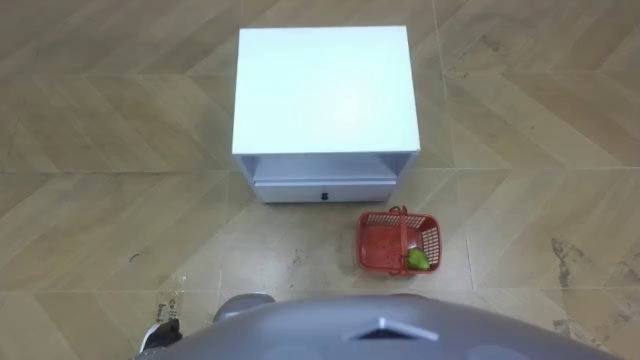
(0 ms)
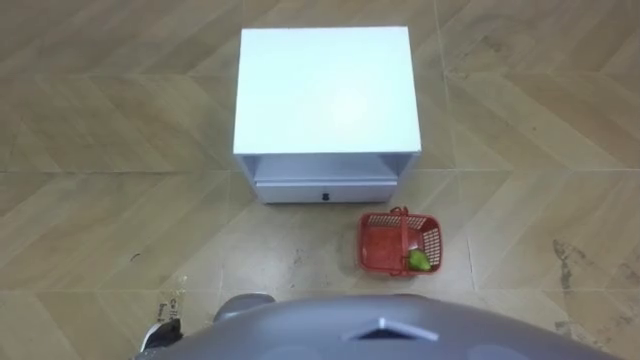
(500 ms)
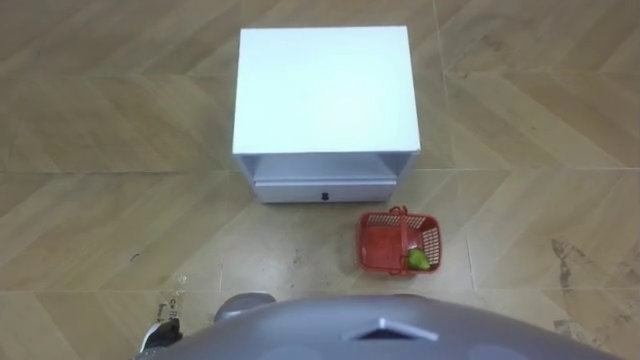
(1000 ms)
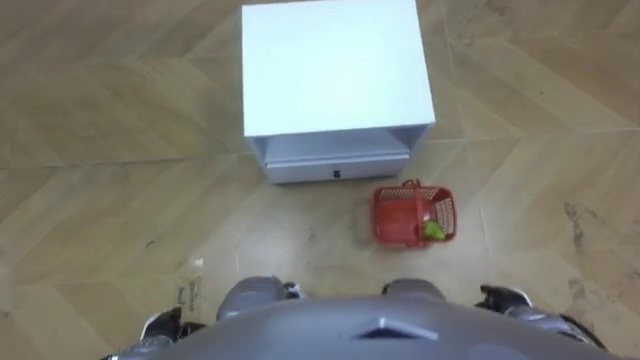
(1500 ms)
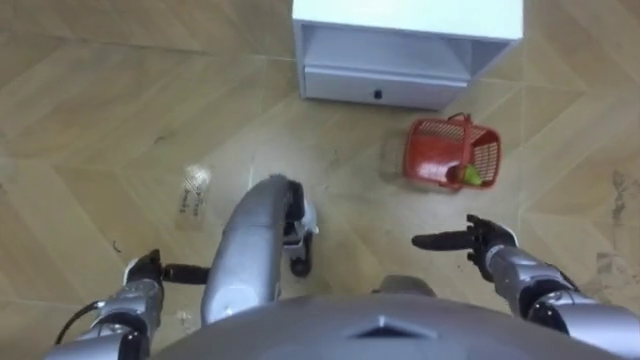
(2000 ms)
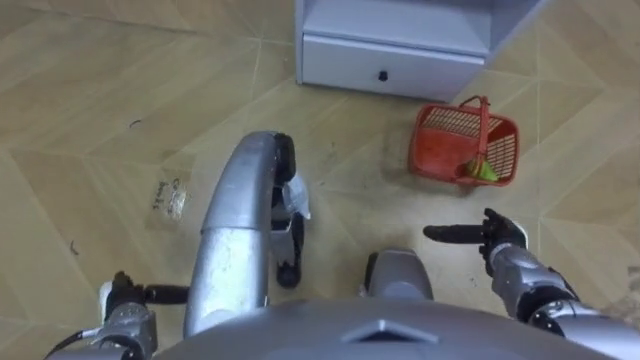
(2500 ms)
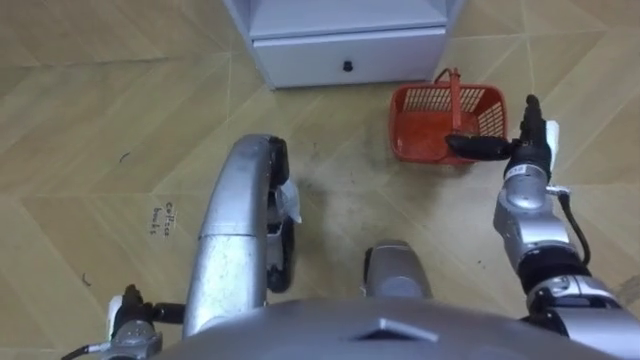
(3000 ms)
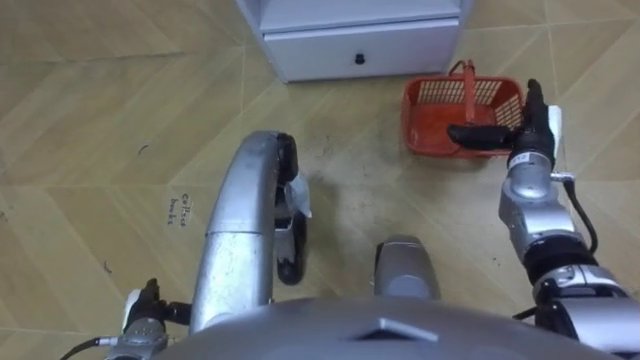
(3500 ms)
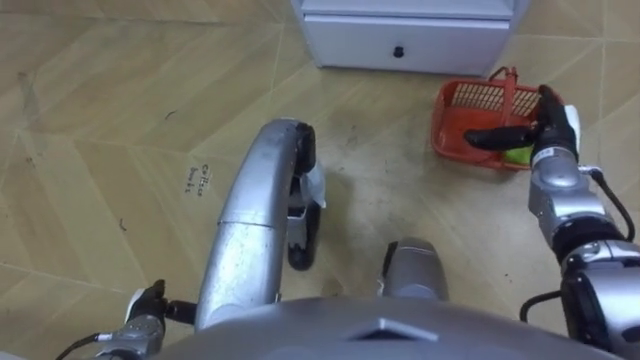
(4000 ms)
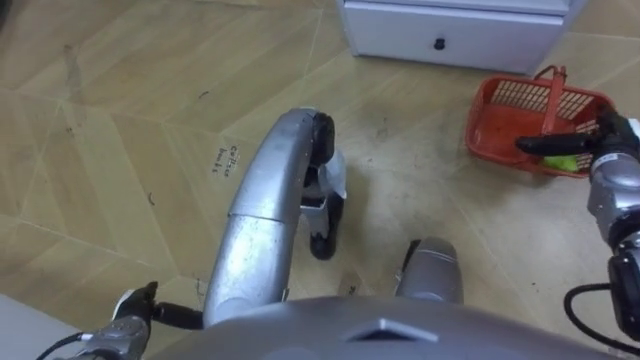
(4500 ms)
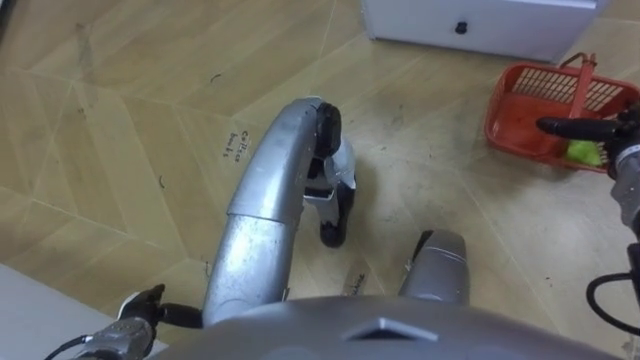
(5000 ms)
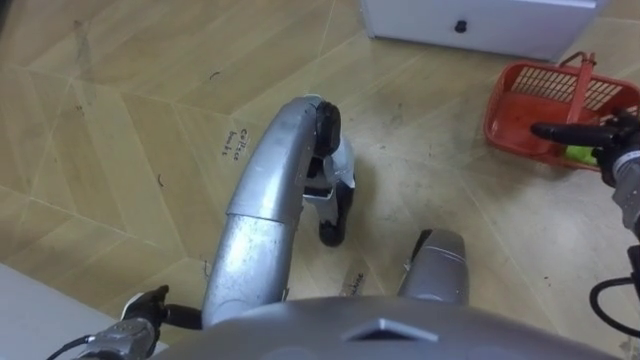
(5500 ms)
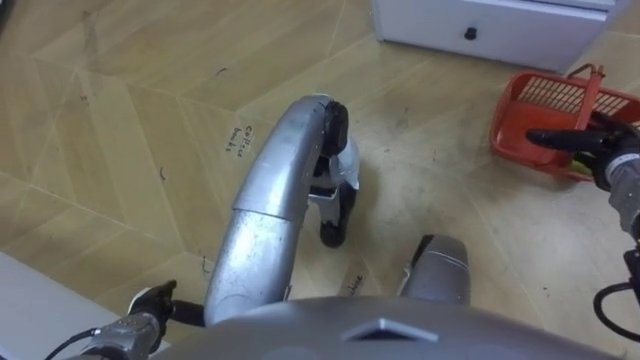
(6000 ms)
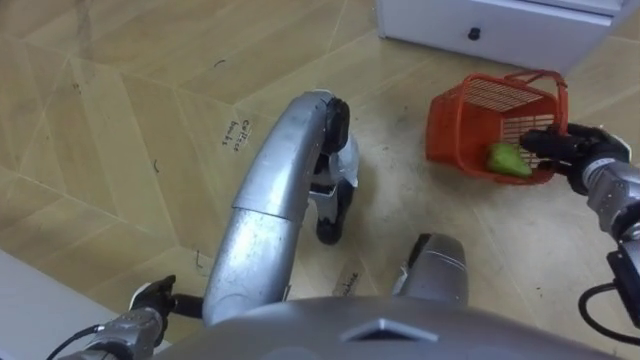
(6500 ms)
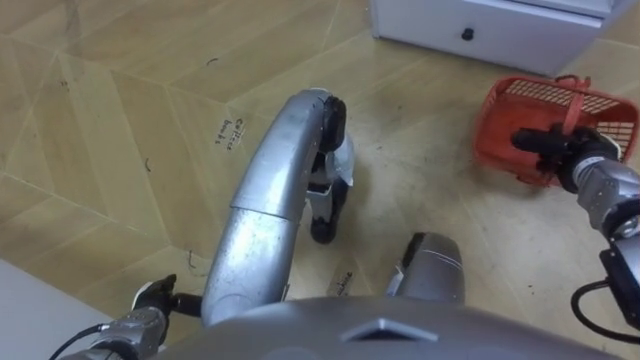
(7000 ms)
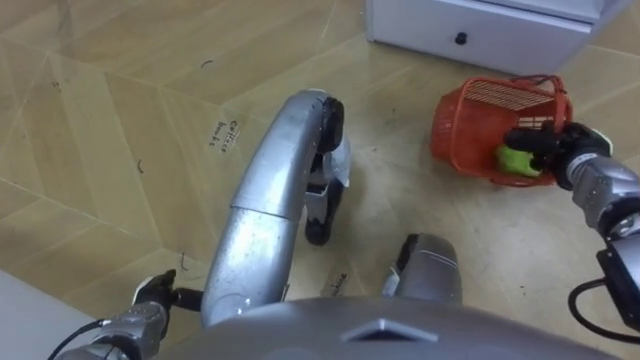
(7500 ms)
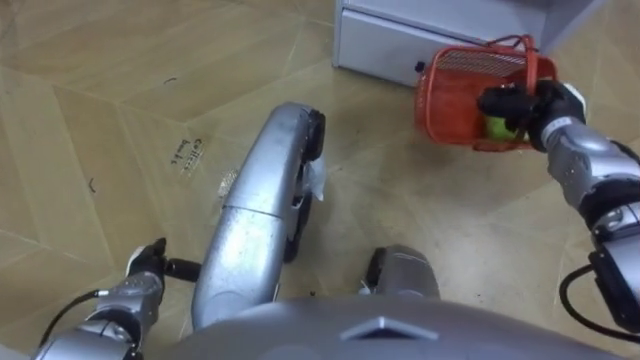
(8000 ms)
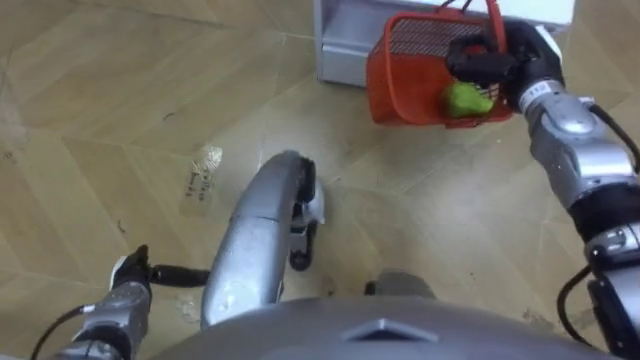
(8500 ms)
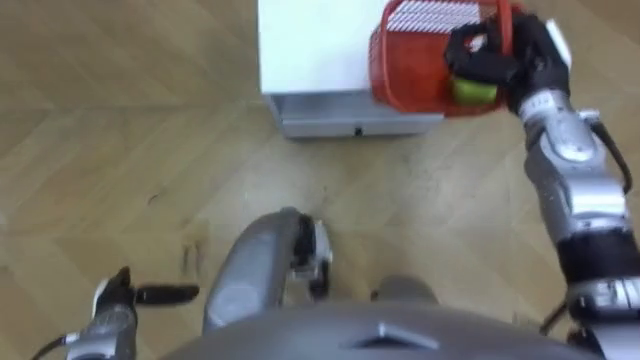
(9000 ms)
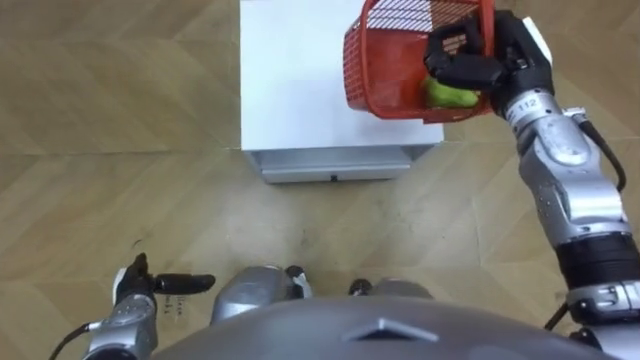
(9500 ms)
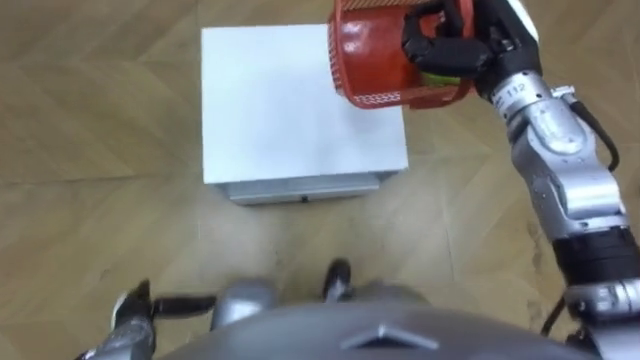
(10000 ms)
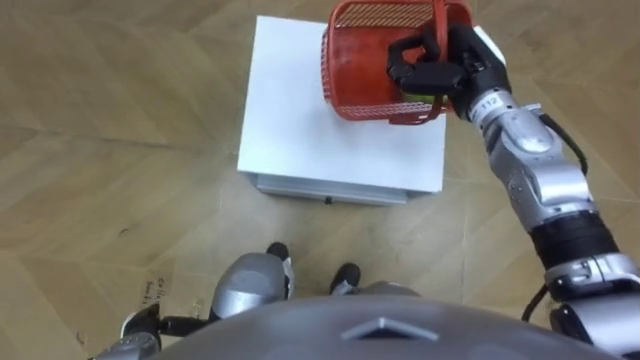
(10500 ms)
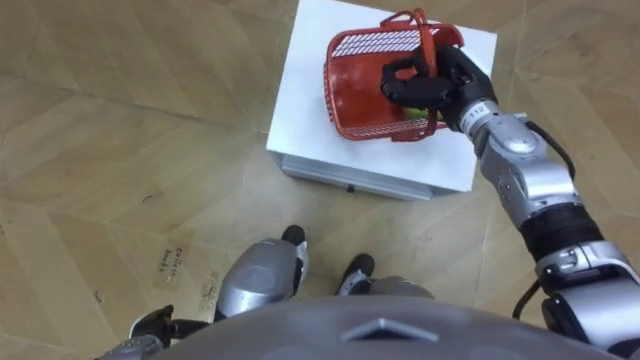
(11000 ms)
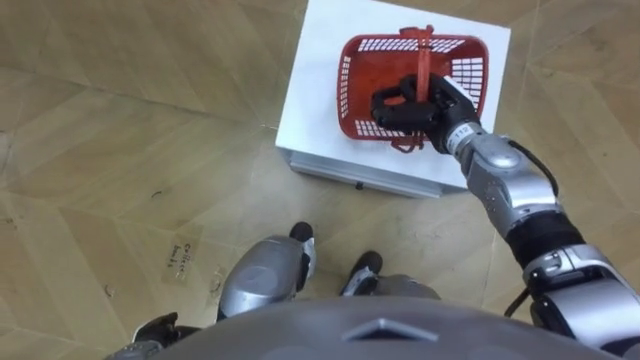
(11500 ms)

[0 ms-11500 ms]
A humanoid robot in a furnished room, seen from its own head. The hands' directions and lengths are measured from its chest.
Task of the whole recording: Pick up the fruit basket from the floor and place it on the cabinet.
2000 ms to 4000 ms: The right hand moves forward, upward and to the right, about 20 cm.
4000 ms to 6000 ms: The right hand moves to the right, roughly 10 cm.
6000 ms to 7500 ms: The right hand closes up.
7500 ms to 9500 ms: The robot turns to its right by about 15 degrees. The right hand travels upward, to the left and forward by approximately 20 cm.
9500 ms to 11500 ms: The left hand is displaced backward by approximately 10 cm. Meanwhile the right hand travels downward and to the left by approximately 10 cm.

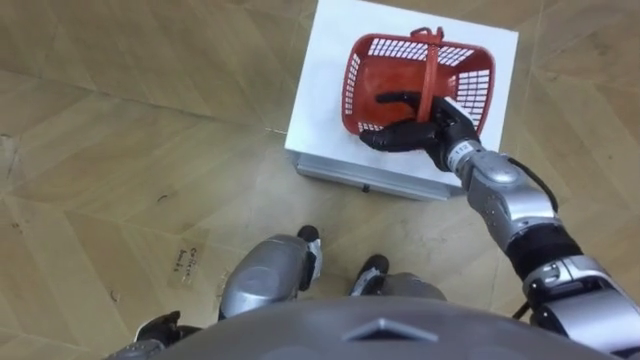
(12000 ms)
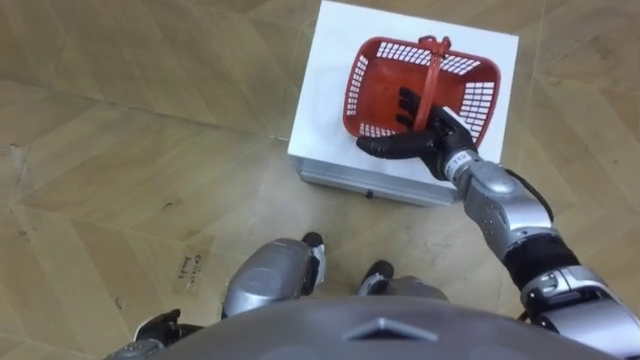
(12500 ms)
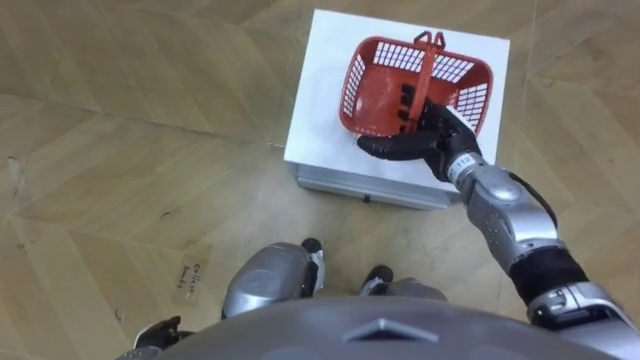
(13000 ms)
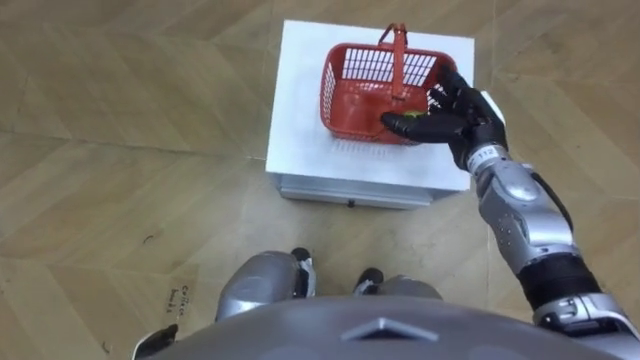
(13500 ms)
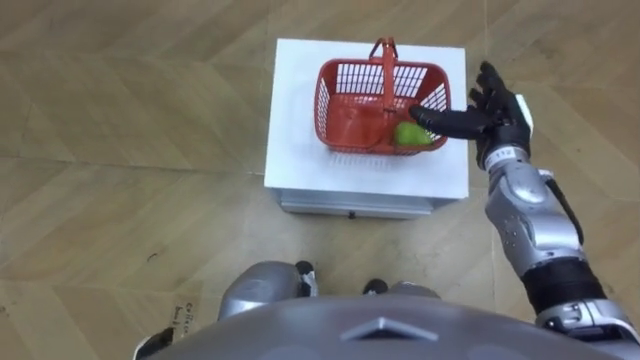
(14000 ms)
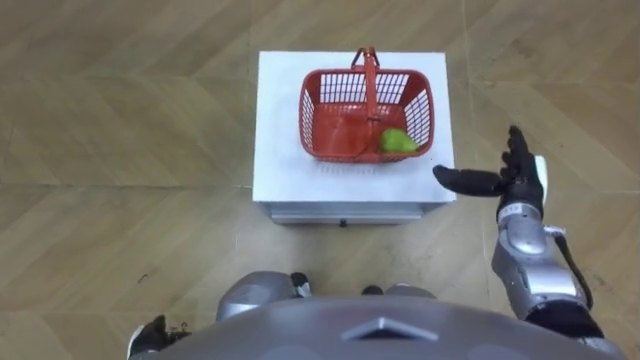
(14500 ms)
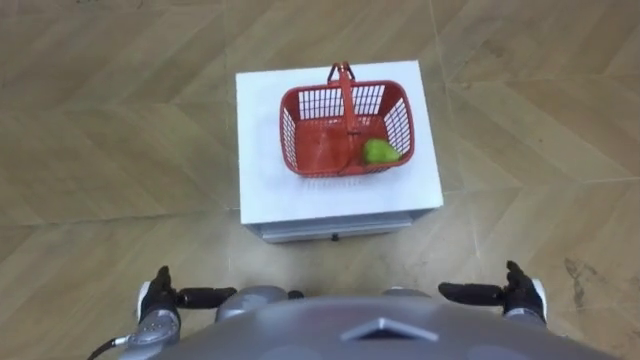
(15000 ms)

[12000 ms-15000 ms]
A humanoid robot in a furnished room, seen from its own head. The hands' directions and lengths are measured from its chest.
Task of the whole recording: Pick up the fruit basket from the floor and place it on the cabinet.
13500 ms to 15000 ms: The left hand shifts about 10 cm forward; the right hand moves backward and downward, approximately 25 cm.

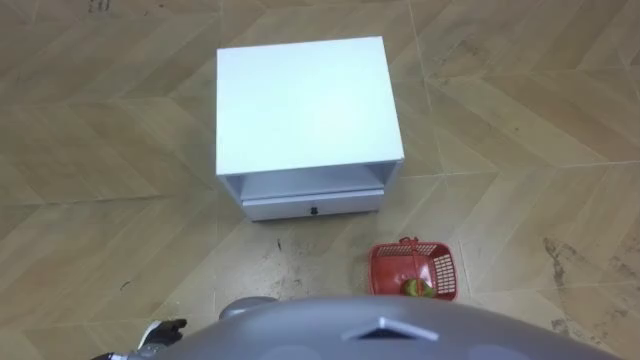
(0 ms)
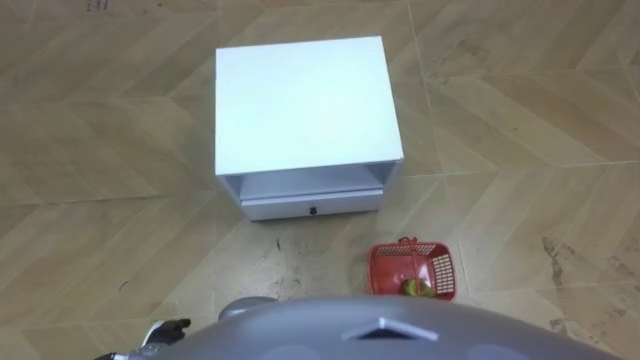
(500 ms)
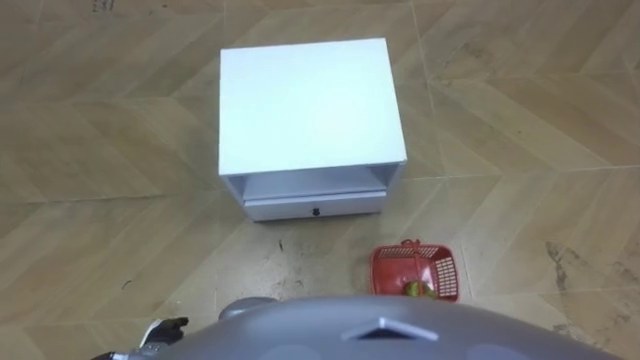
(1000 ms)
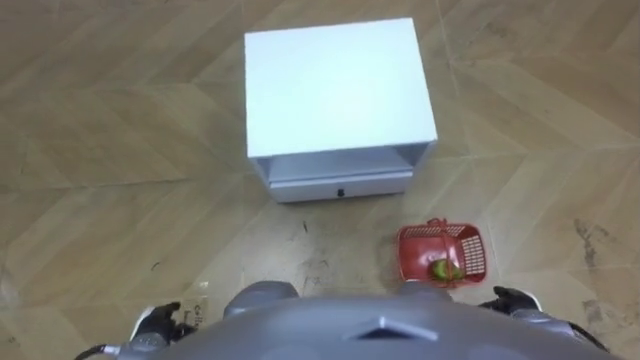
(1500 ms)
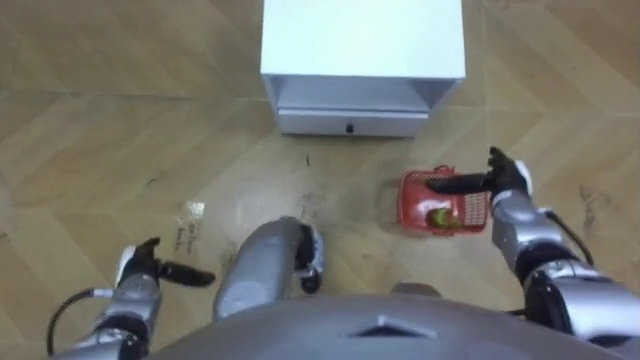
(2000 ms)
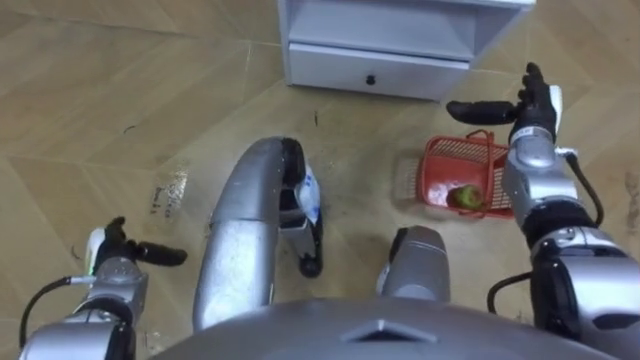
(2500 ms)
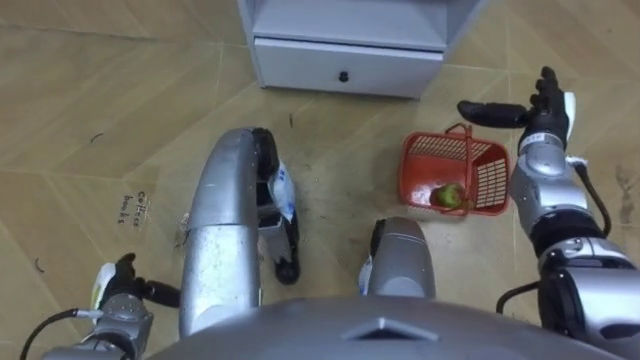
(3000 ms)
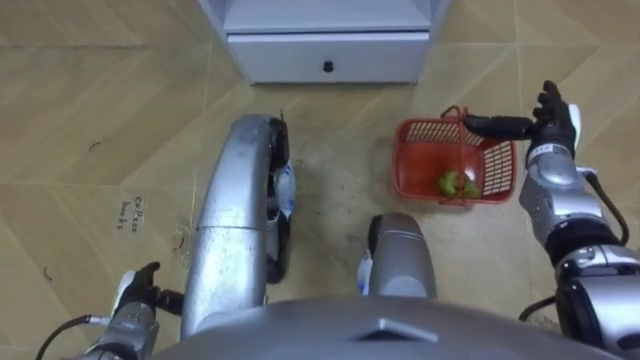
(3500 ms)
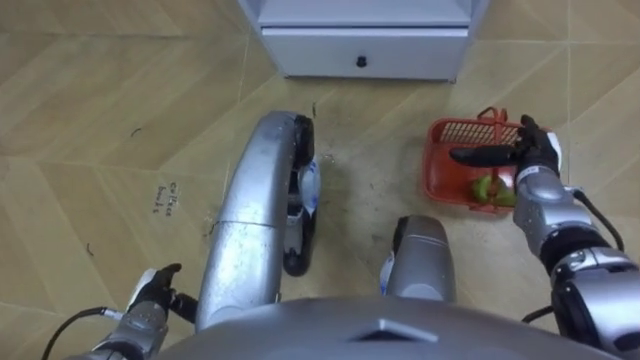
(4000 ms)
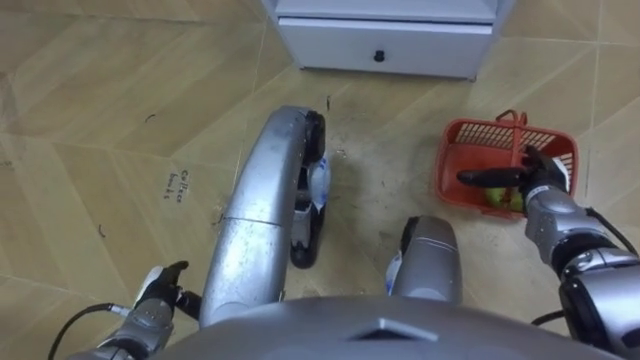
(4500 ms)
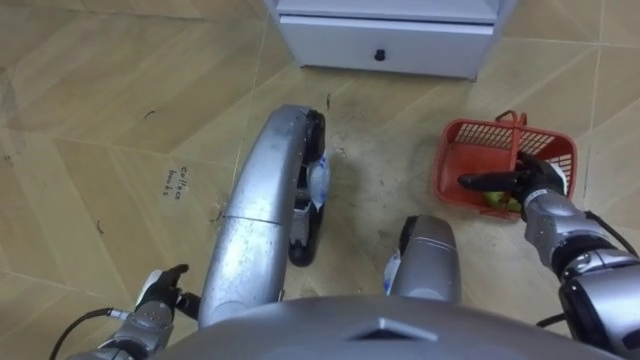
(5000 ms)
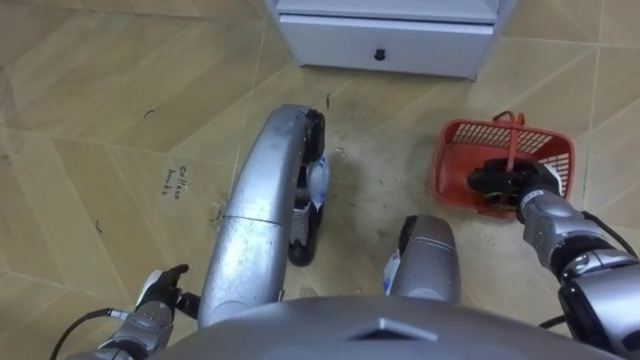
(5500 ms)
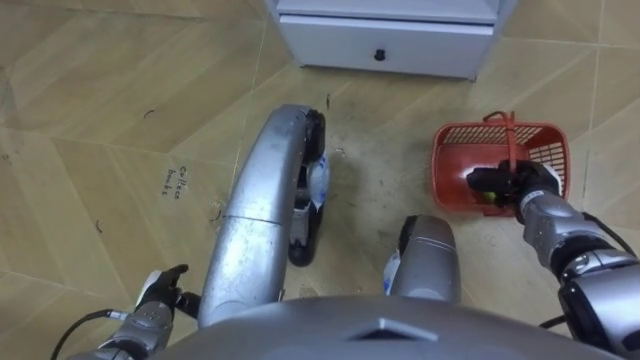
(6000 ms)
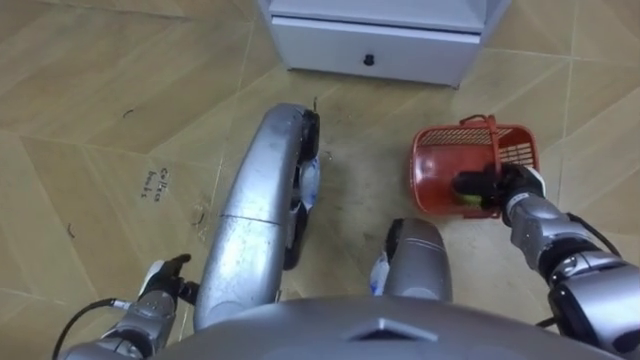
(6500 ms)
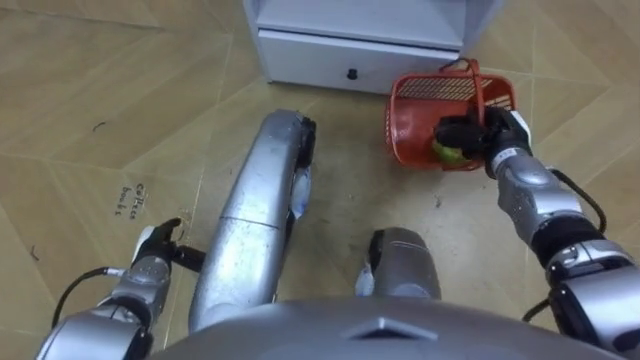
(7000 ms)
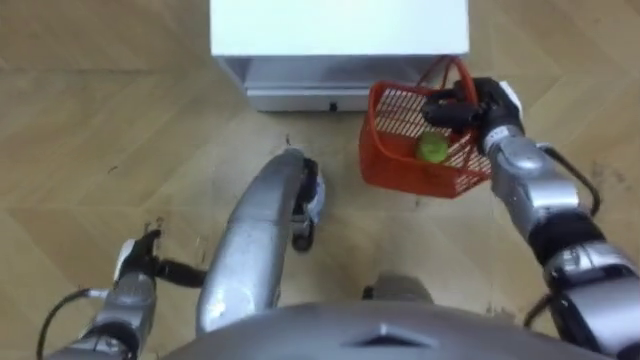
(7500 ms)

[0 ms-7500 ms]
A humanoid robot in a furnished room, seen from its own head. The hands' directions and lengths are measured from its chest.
Task of the whole recording: Pick up the fruit basket from the floor and place it on the cabinet.
4000 ms to 5500 ms: The right hand closes up.
5500 ms to 7500 ms: The left hand shifts approximately 5 cm forward, while the right hand travels forward, to the left and upward by approximately 15 cm.
